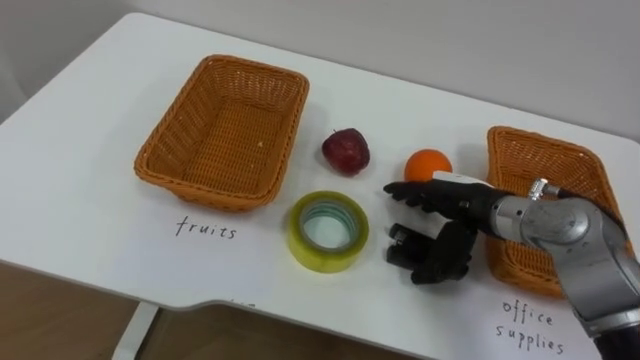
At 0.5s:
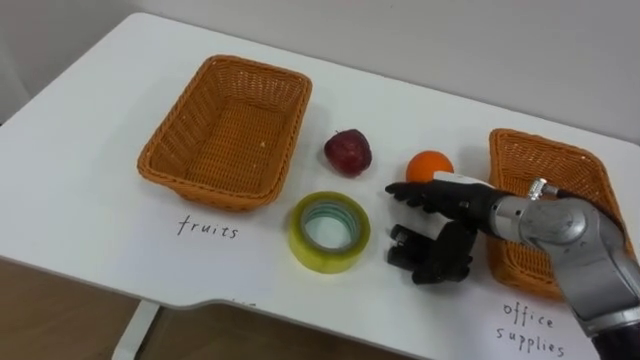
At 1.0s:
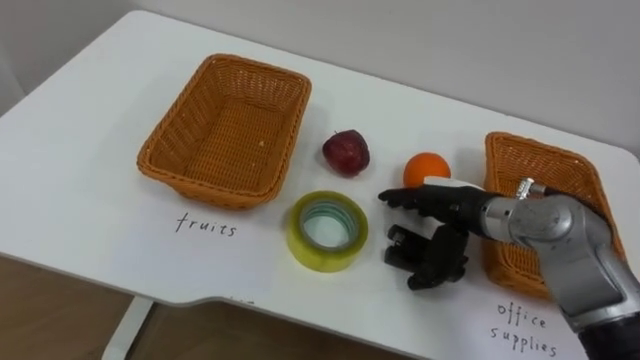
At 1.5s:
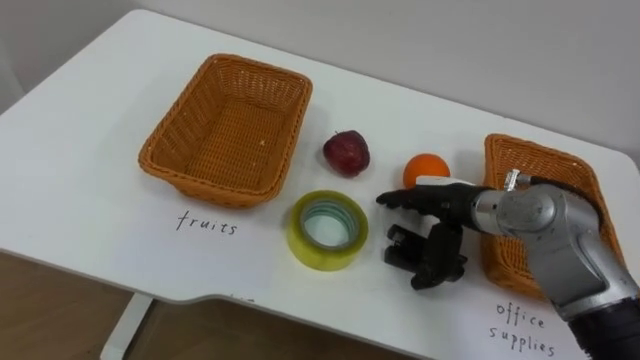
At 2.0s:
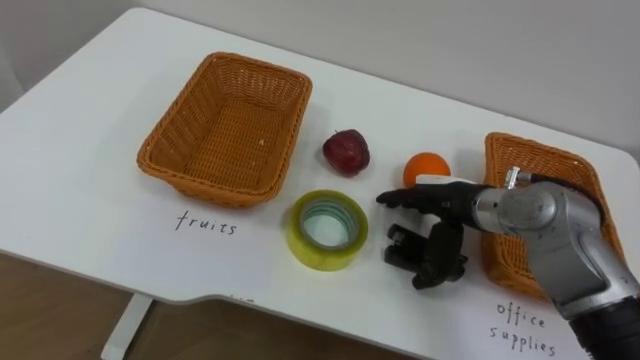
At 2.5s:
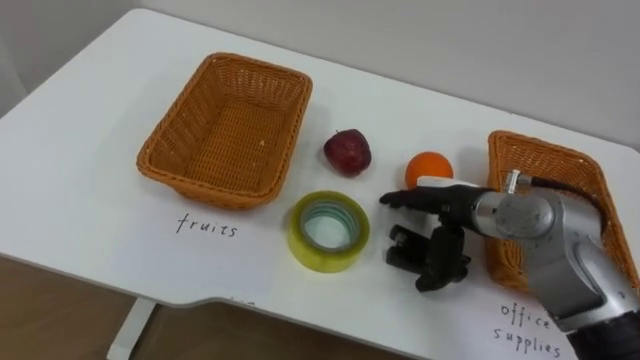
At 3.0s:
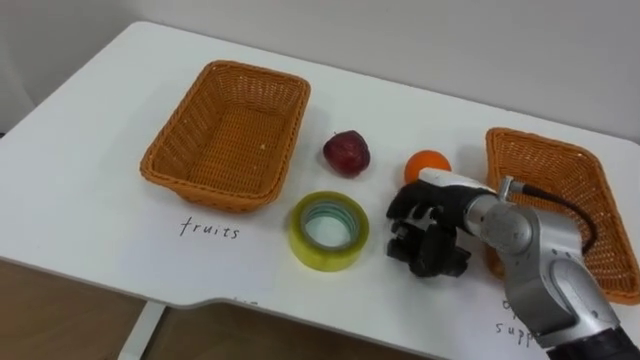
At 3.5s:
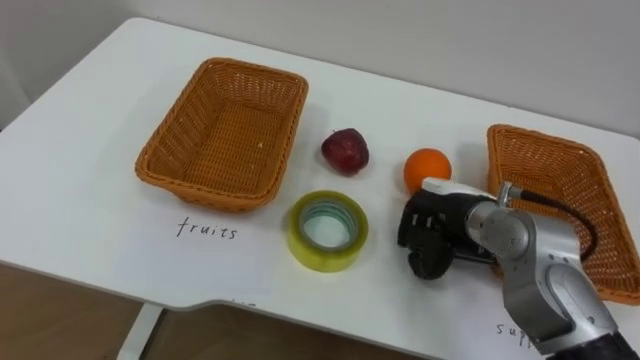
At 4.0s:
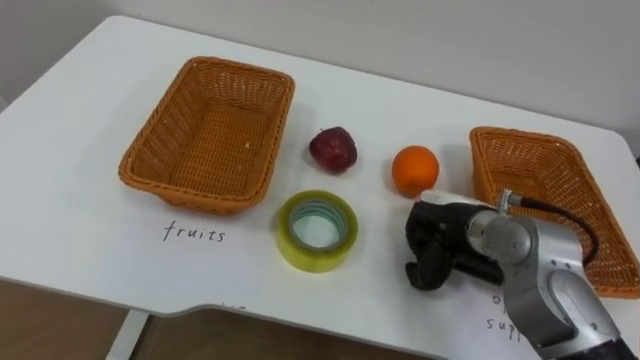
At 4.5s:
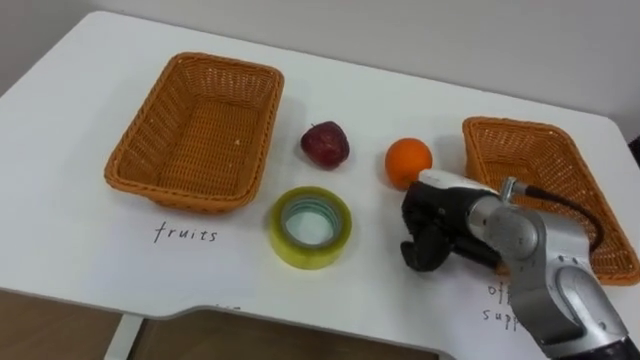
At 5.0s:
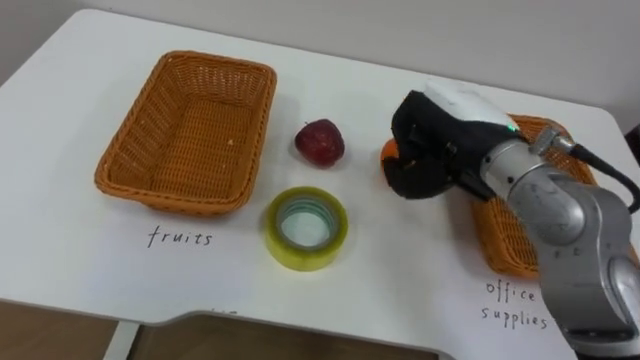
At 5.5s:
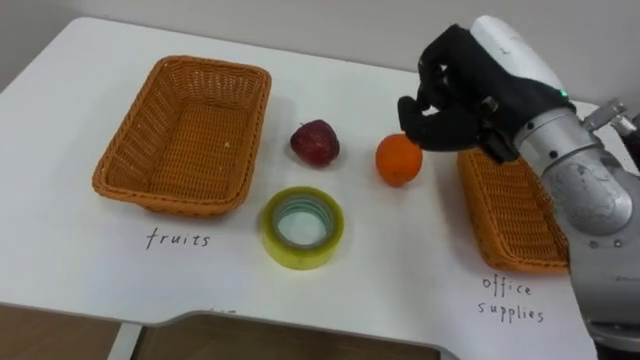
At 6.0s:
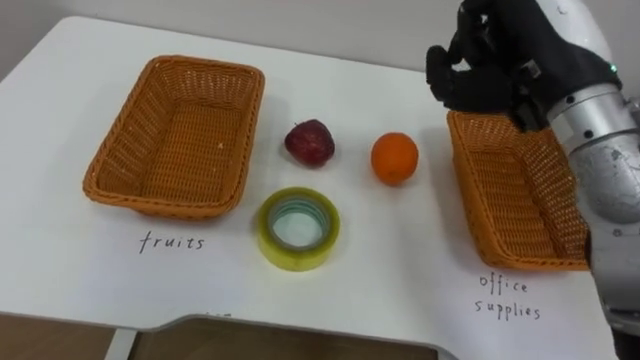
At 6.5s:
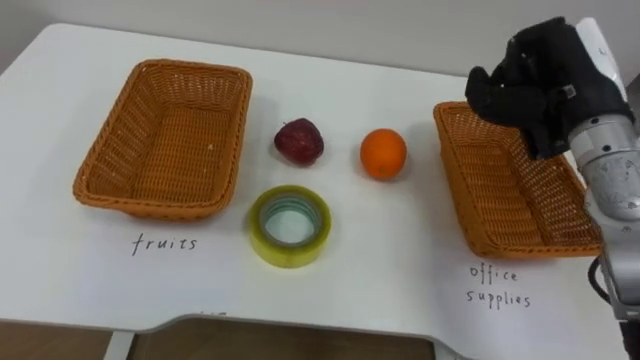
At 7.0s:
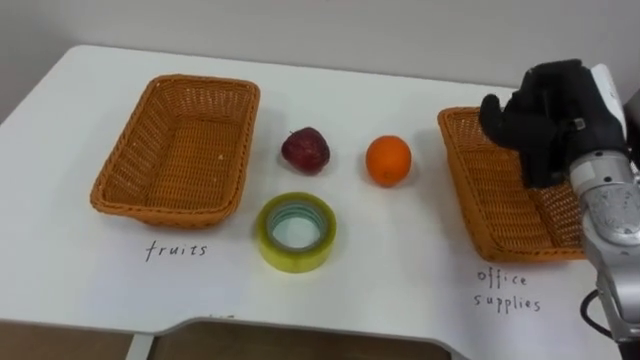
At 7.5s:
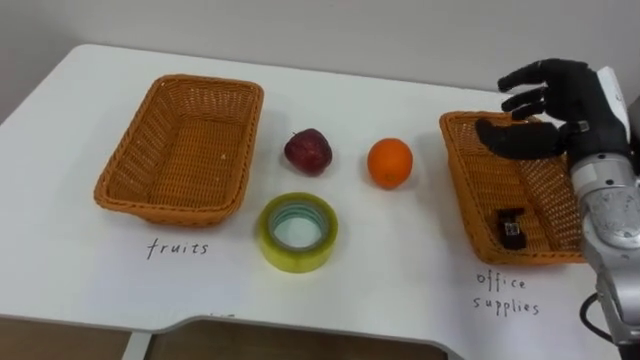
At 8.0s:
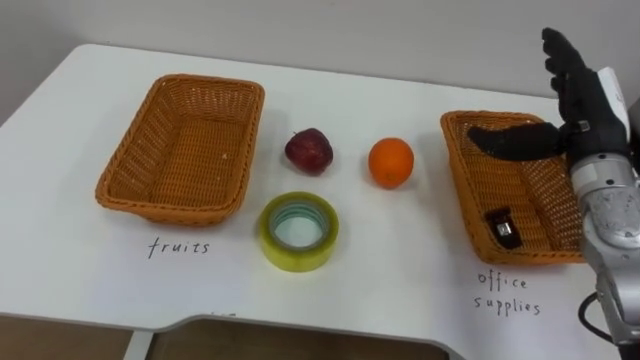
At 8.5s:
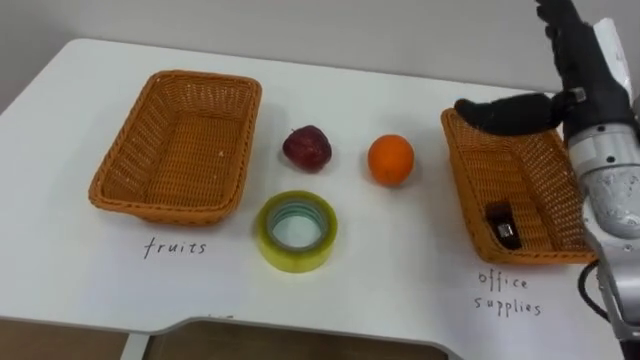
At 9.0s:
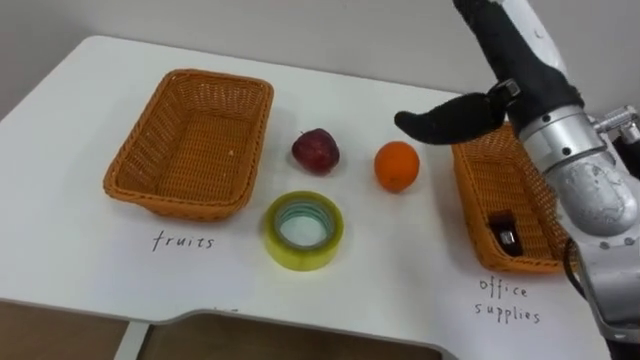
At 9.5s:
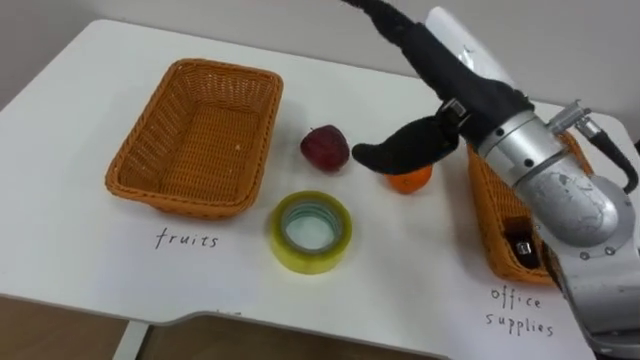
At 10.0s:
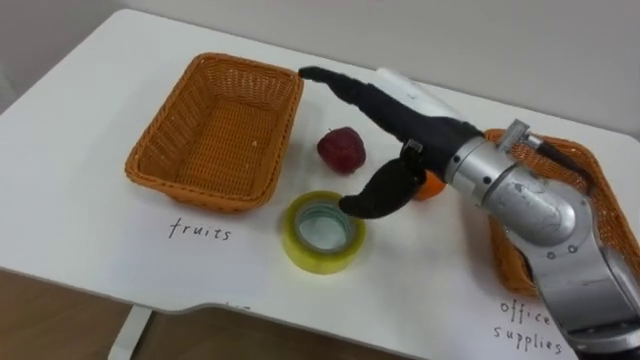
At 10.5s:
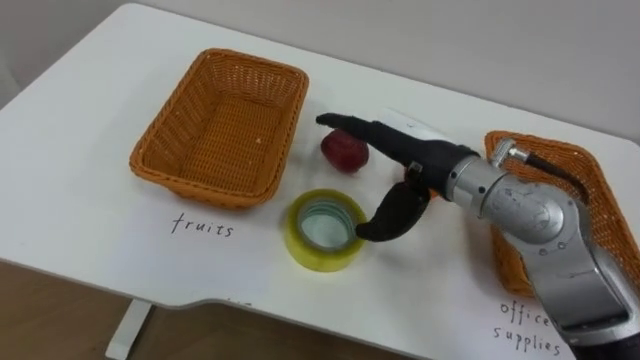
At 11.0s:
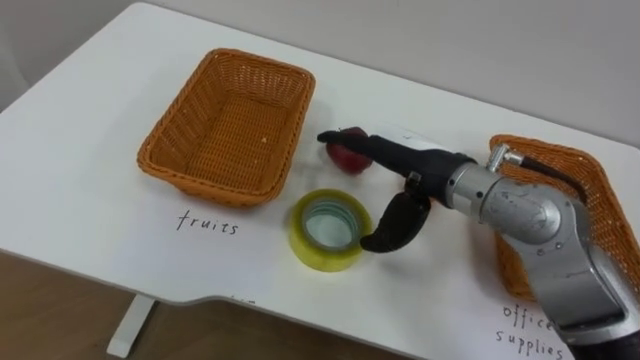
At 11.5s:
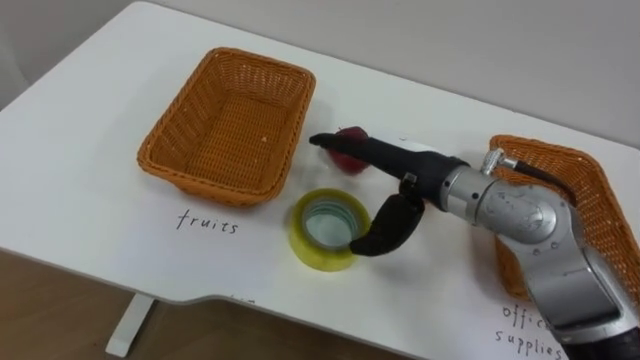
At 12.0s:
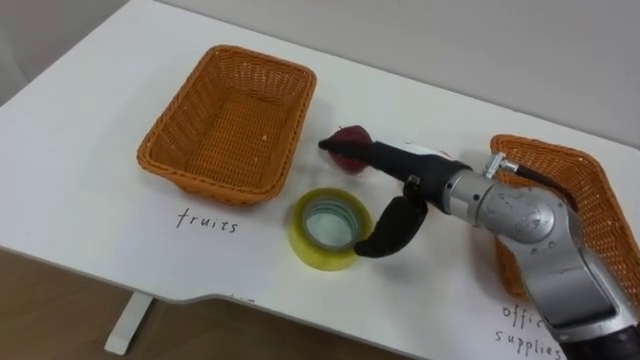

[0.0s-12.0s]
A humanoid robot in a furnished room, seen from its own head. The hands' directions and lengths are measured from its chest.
Task of the whole recording: Separate the items on the table and place them into the two baskets.
2.0s to 4.0s: The right hand closes up.
4.0s to 6.0s: The right hand heads upward, covering some 20 cm.
6.0s to 8.0s: The right hand is displaced downward and to the right by approximately 15 cm, and opens up.
8.0s to 10.0s: The right hand travels to the left by approximately 20 cm.
10.0s to 12.0s: The right hand goes some 10 cm downward.

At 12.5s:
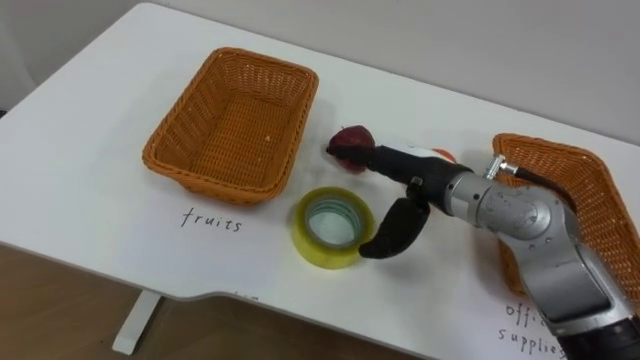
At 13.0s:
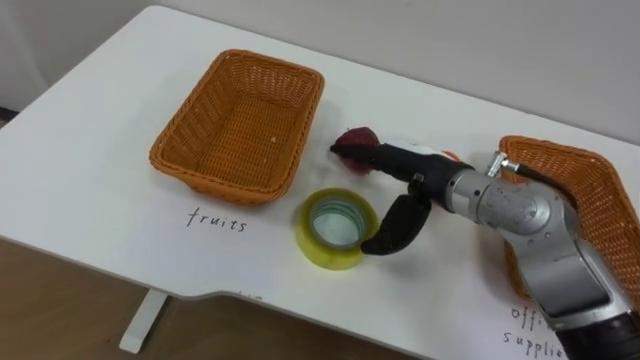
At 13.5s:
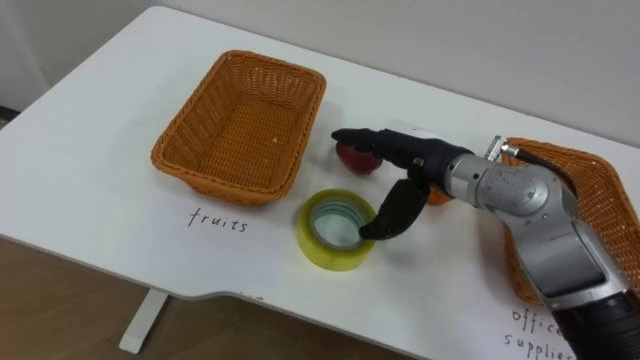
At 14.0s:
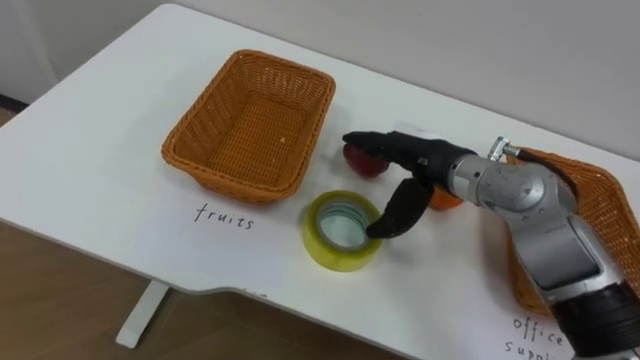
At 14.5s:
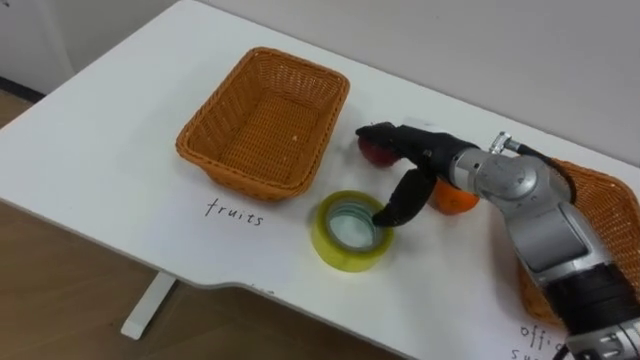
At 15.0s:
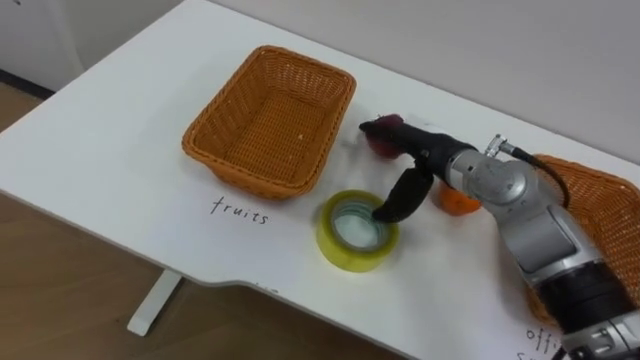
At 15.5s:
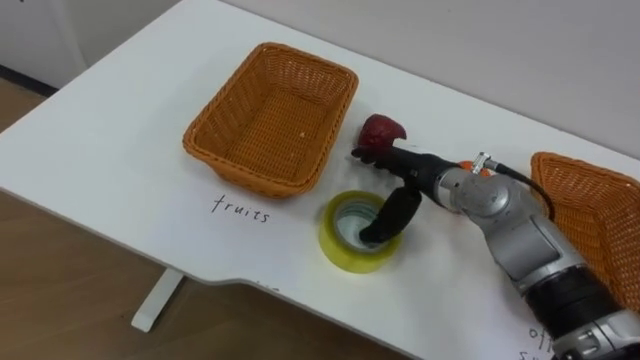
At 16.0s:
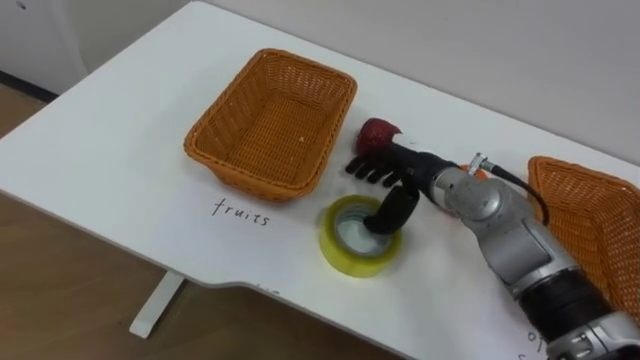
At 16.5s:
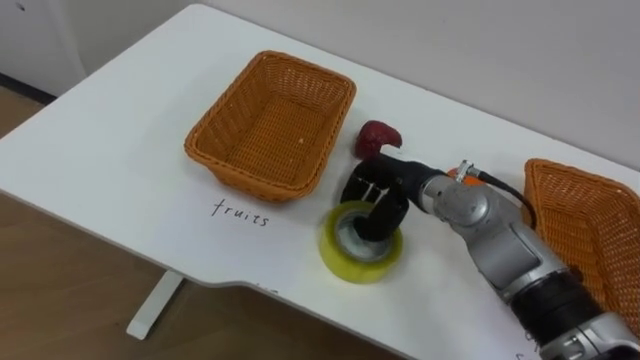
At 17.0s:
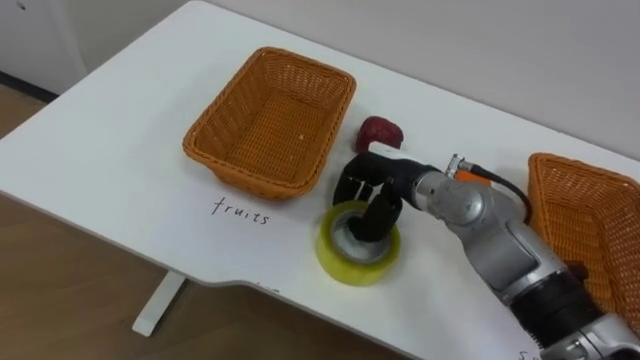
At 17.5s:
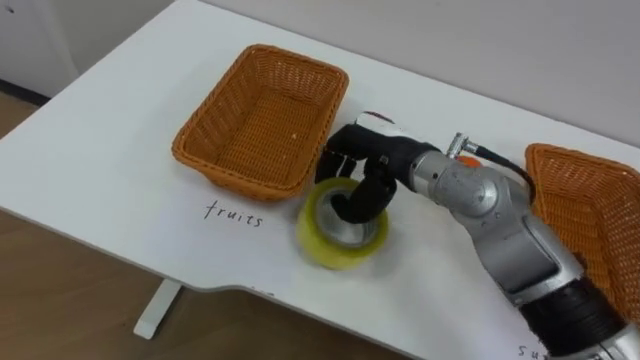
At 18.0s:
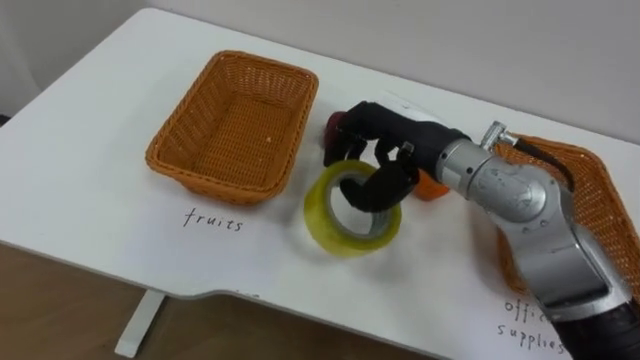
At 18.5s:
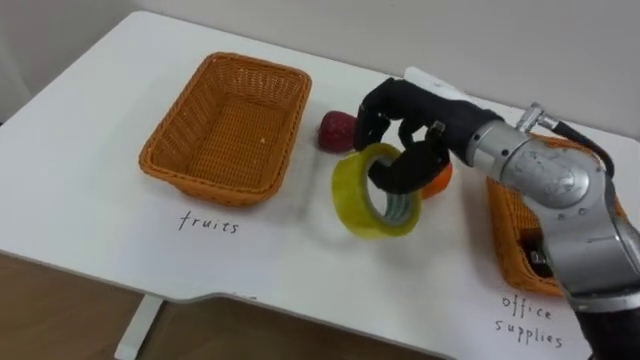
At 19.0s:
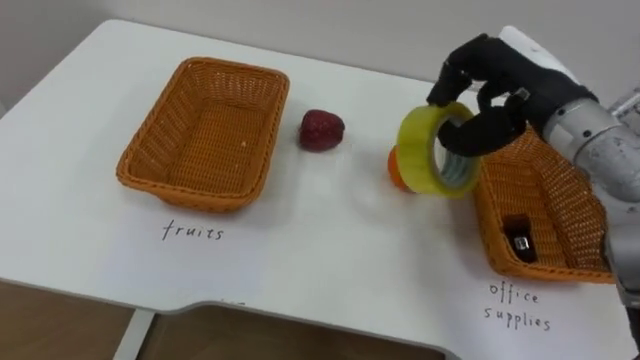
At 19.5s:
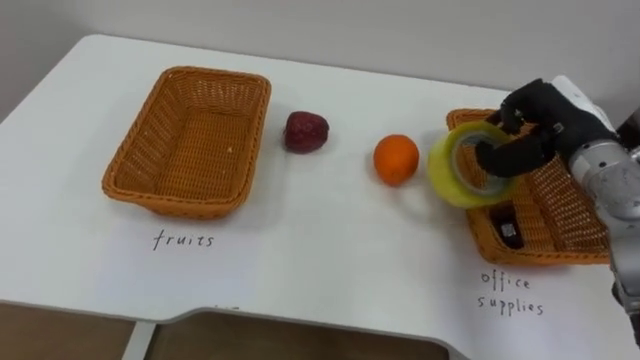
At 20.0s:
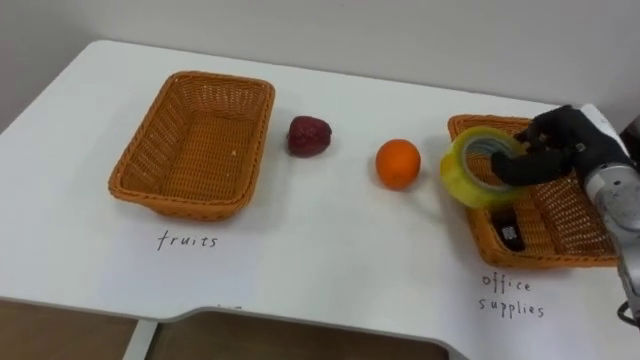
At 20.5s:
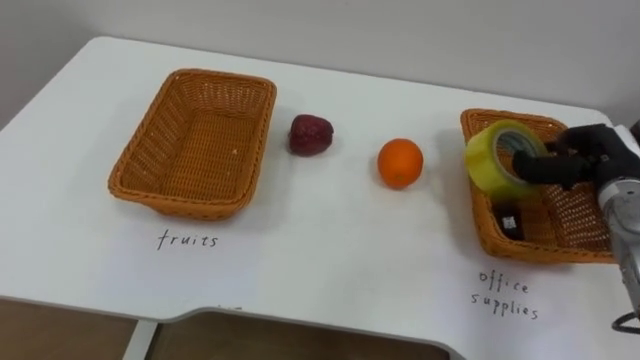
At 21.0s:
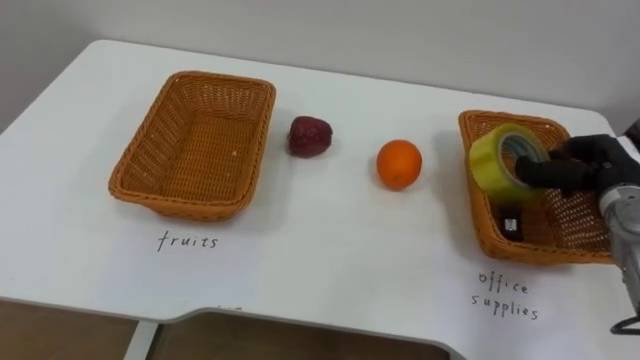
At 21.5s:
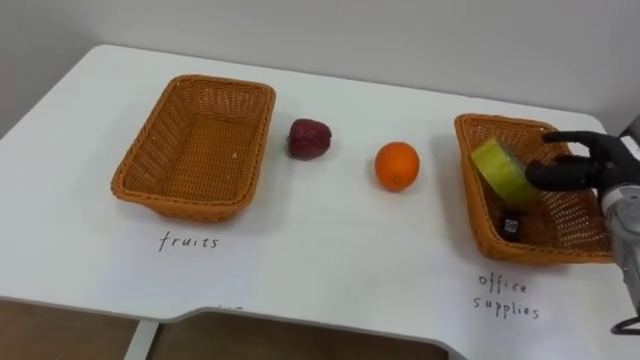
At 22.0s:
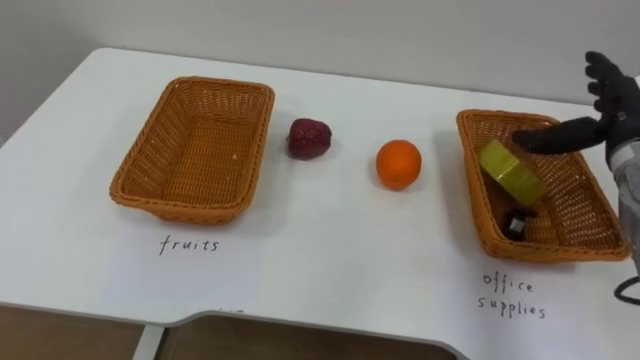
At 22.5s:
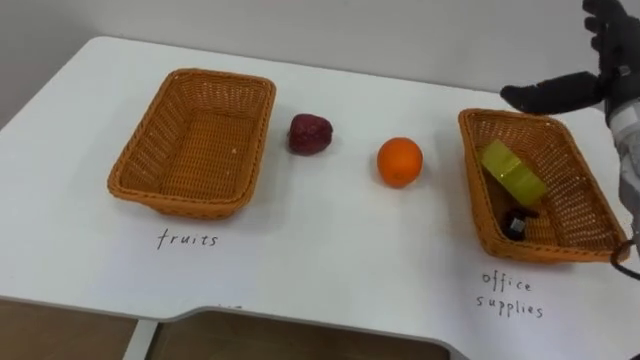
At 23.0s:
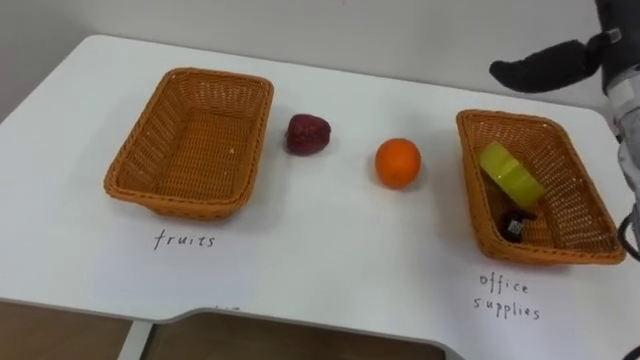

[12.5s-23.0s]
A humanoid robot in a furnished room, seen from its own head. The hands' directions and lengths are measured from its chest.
Task of the whole recording: Separate the items on the table and place them into the two baskets.
12.5s to 14.5s: The right hand moves some 5 cm.
14.5s to 16.5s: The right hand changes place by roughly 5 cm, and closes up.
16.5s to 19.0s: The right hand moves upward and to the right, approximately 20 cm.
19.0s to 21.0s: The right hand shifts about 20 cm to the right and downward.
21.0s to 23.0s: The right hand shifts about 20 cm upward and to the left, and opens up.
